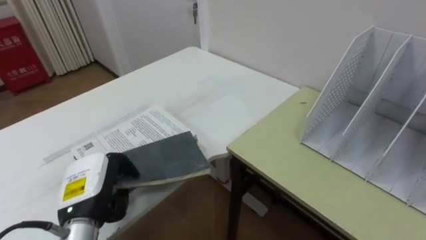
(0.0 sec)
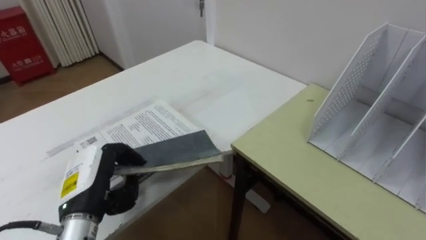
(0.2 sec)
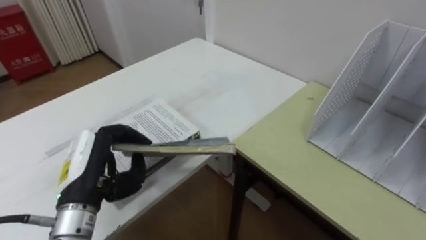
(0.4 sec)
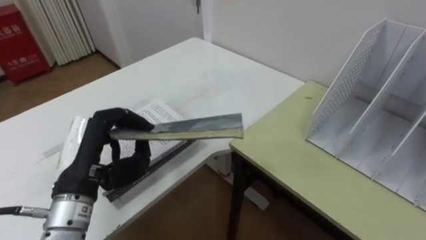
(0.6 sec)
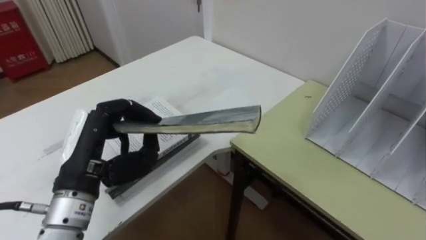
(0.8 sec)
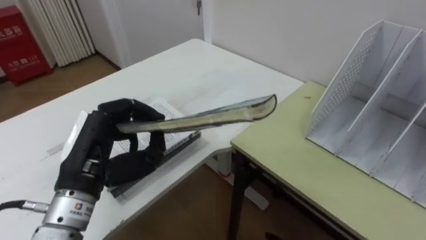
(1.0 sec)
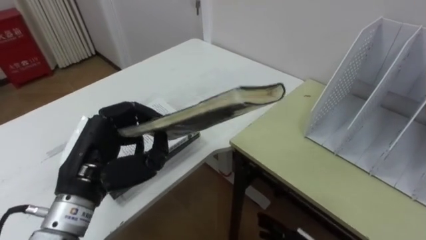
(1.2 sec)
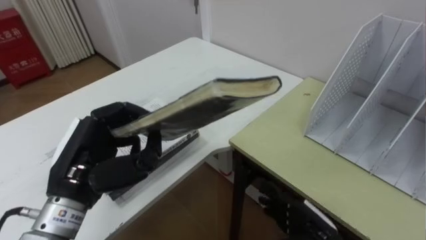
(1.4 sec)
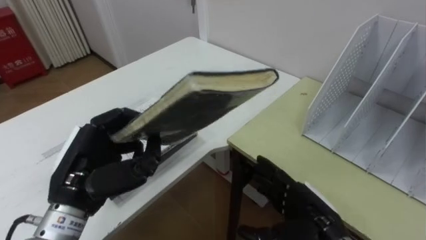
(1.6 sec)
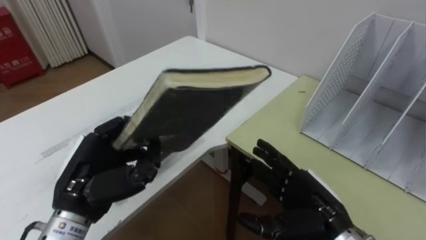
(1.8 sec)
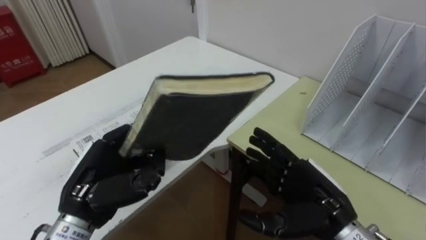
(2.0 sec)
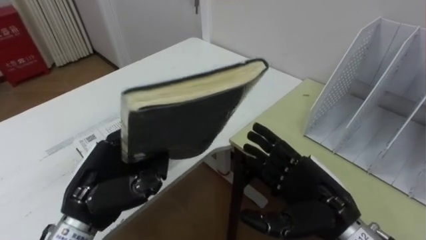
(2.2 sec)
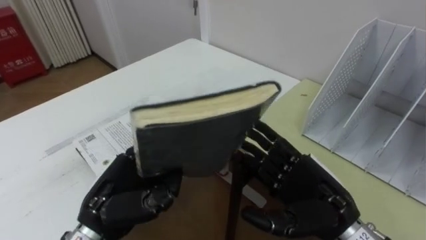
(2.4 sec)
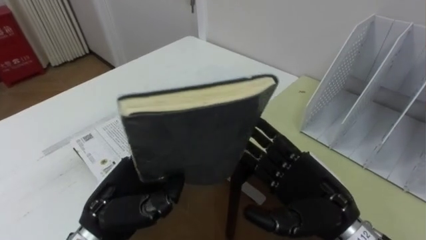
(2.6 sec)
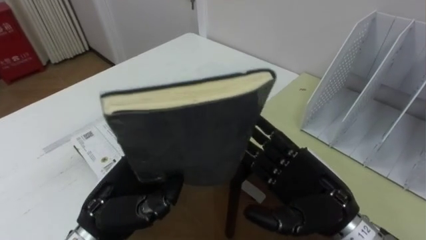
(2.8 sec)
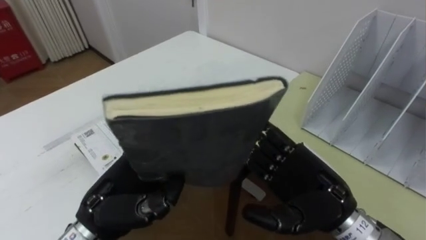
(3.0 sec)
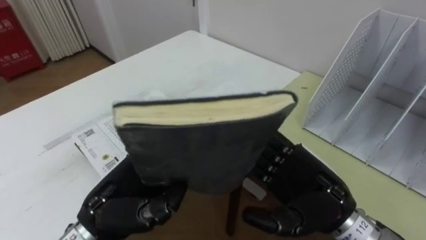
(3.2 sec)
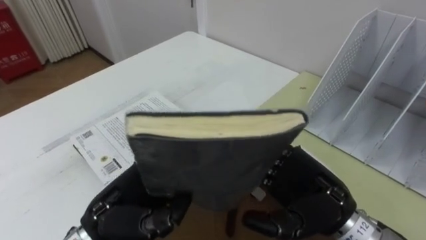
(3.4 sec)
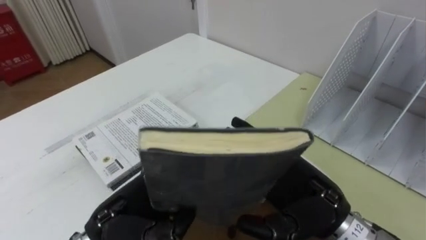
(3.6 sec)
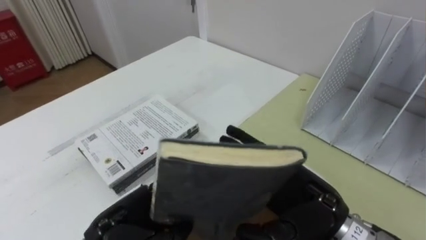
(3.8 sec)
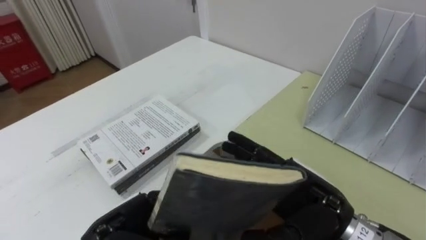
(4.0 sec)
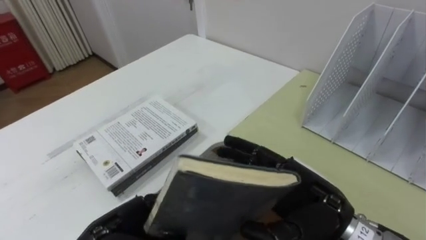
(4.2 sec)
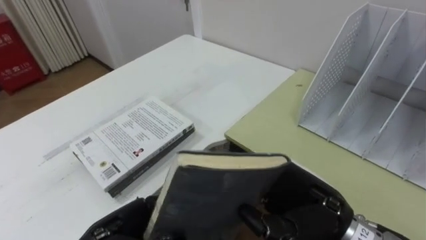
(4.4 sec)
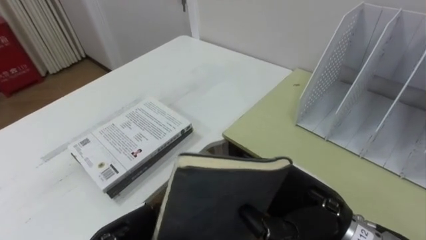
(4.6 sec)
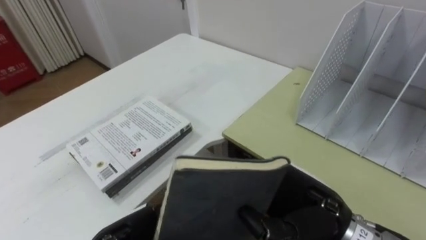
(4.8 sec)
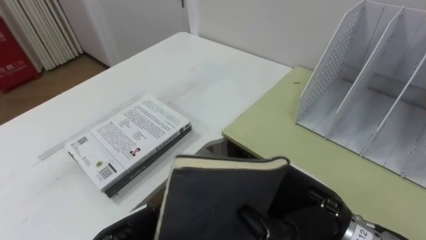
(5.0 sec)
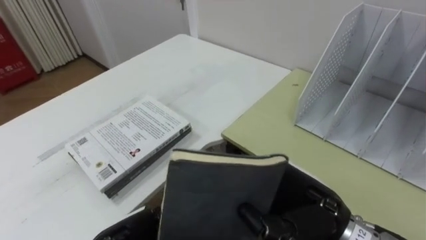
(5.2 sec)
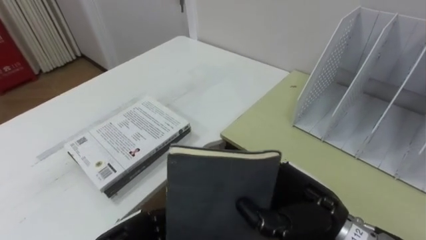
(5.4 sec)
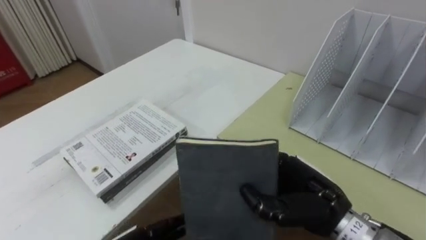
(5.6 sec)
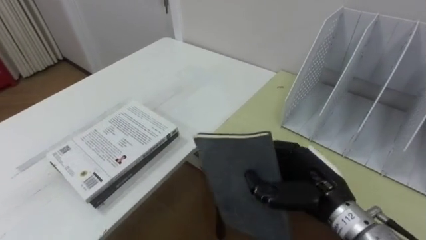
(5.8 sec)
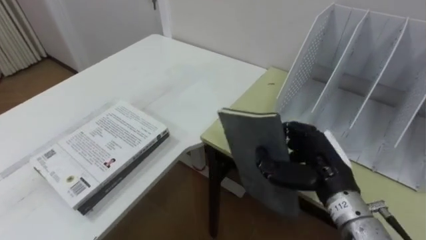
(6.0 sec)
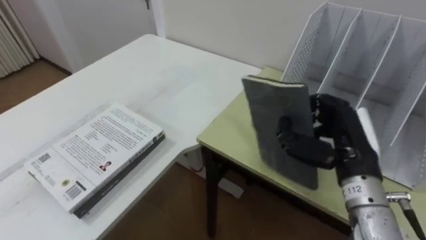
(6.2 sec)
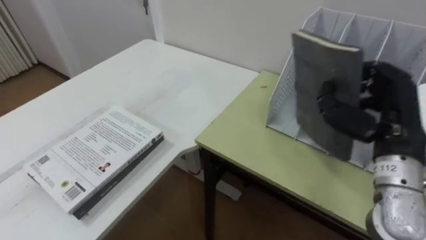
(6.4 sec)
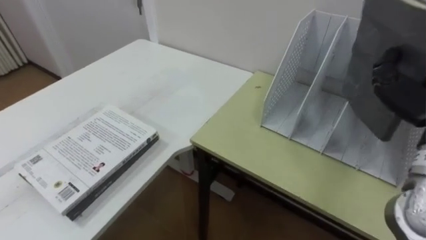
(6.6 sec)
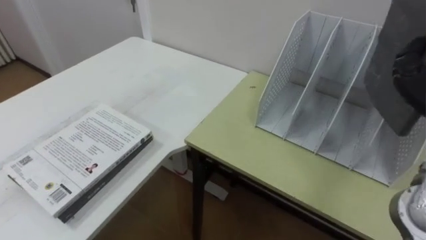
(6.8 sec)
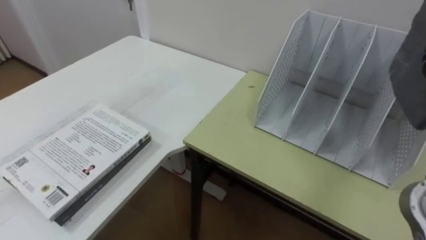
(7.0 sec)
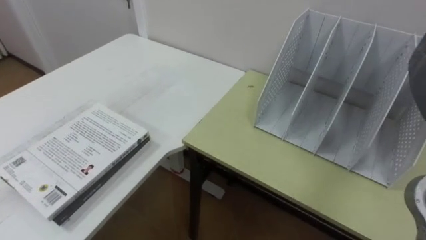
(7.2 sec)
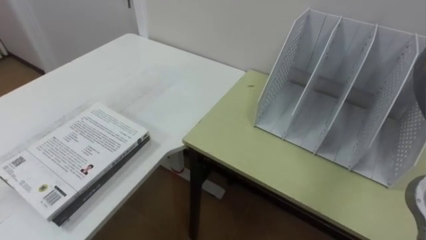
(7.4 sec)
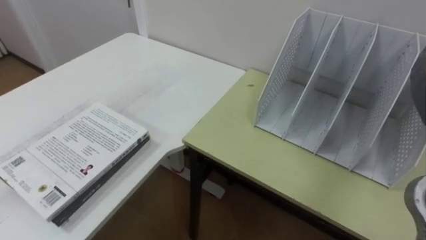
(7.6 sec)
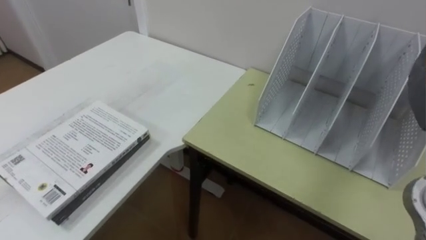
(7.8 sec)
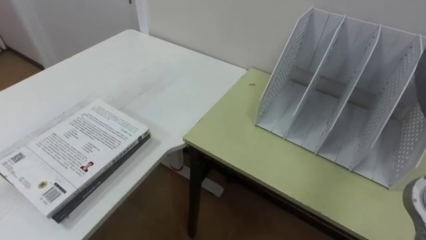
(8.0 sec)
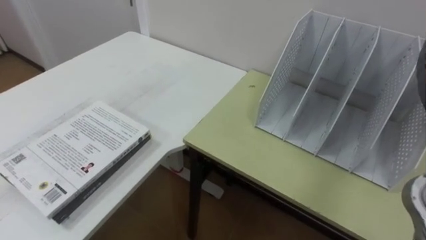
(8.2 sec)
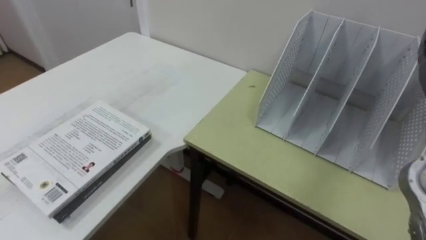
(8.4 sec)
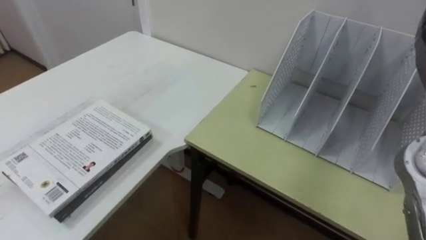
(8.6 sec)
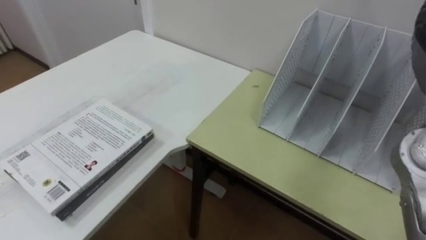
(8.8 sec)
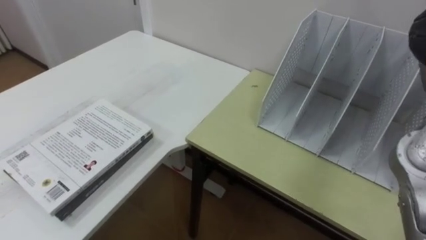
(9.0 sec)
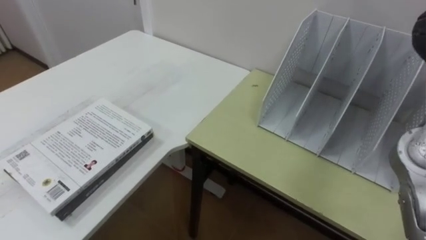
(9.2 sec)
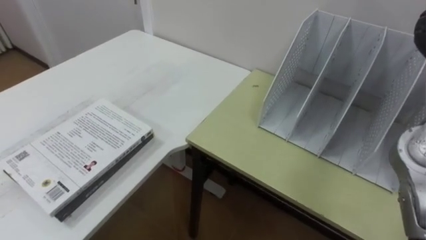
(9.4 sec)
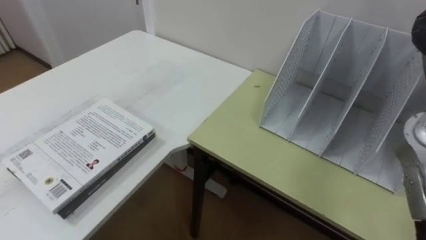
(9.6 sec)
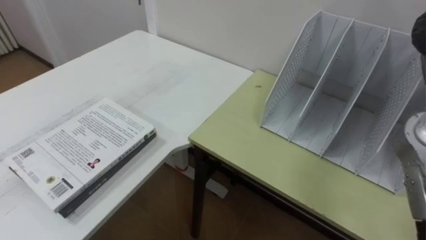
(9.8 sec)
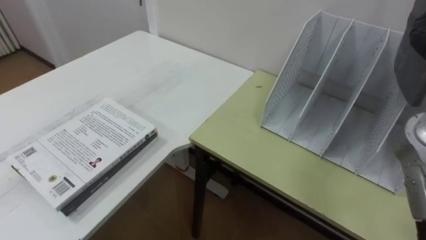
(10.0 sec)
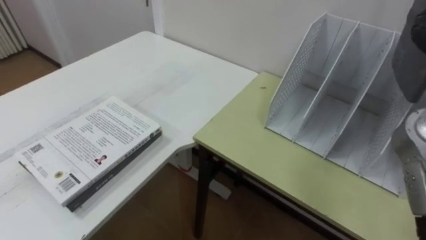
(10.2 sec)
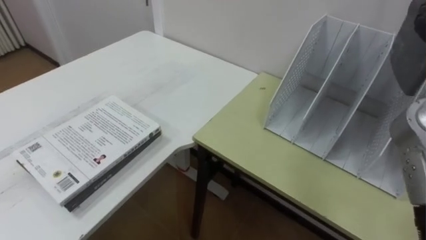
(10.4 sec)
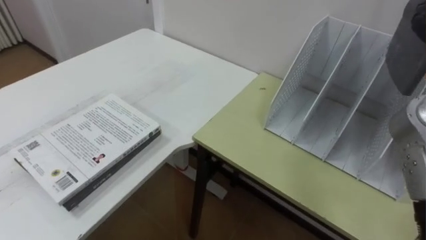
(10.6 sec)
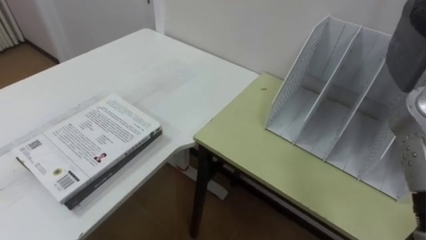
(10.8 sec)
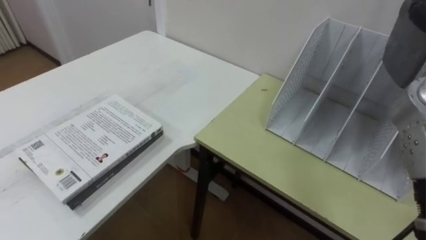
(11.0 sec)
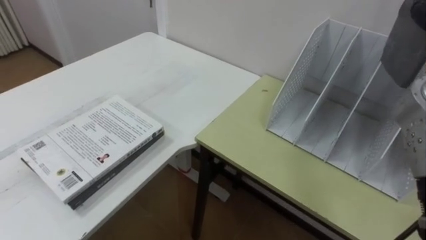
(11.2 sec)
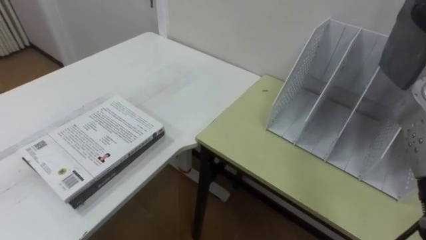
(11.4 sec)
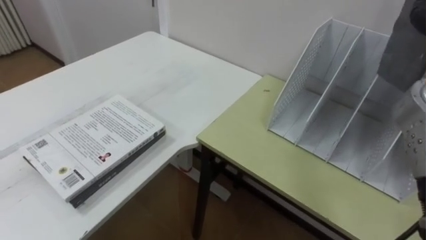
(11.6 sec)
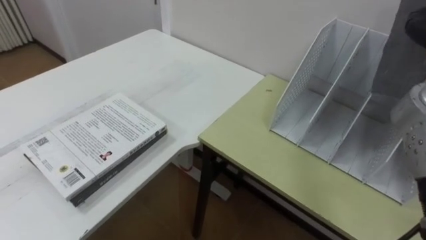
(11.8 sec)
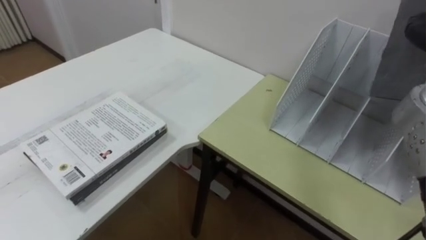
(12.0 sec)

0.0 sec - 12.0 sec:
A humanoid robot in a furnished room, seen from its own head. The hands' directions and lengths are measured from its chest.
Task of the whole recording: Put the books on the table onto the bookshelf.
0.0 sec - 1.6 sec: The left hand shifts approximately 10 cm upward.
1.6 sec - 3.0 sec: The left hand moves roughly 5 cm. Meanwhile the right hand goes some 10 cm upward.
3.0 sec - 4.4 sec: The right hand closes. The left hand travels downward by some 5 cm.
4.4 sec - 6.0 sec: The right hand moves forward, approximately 5 cm.

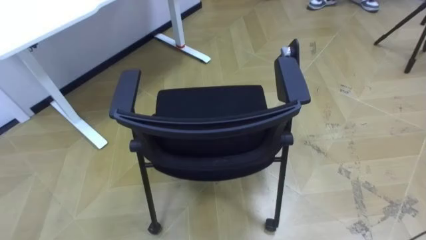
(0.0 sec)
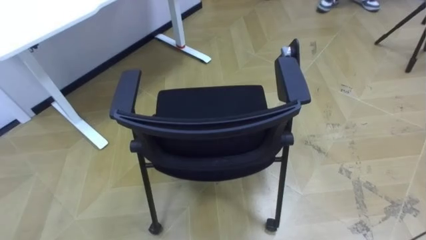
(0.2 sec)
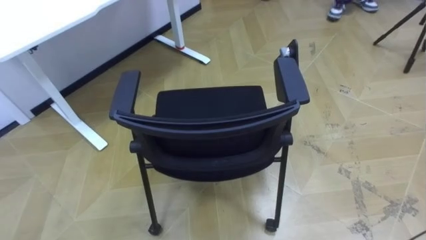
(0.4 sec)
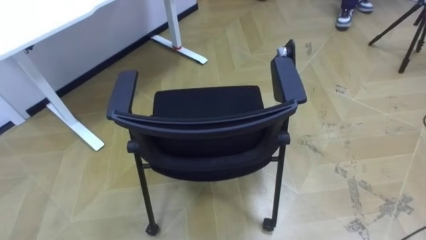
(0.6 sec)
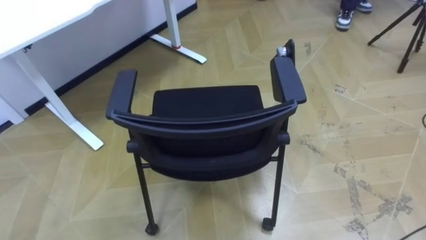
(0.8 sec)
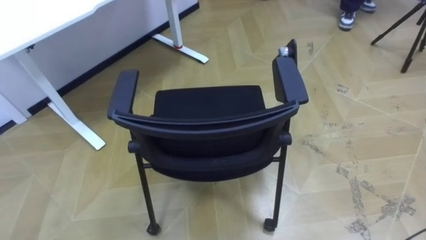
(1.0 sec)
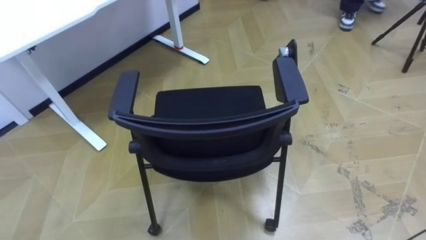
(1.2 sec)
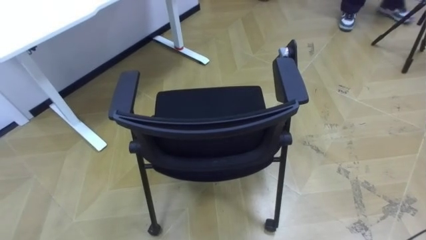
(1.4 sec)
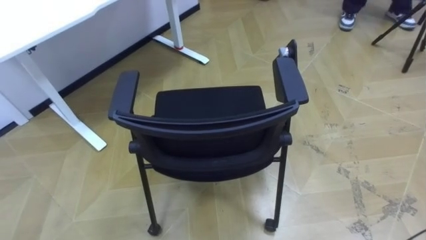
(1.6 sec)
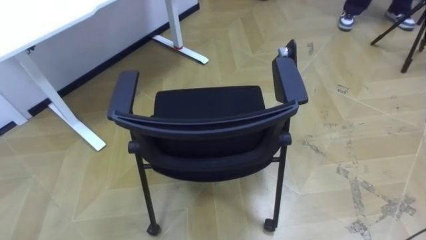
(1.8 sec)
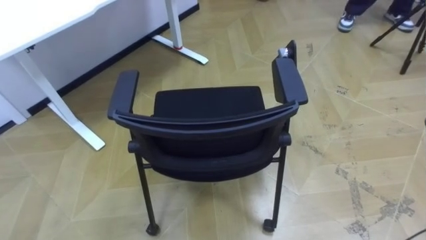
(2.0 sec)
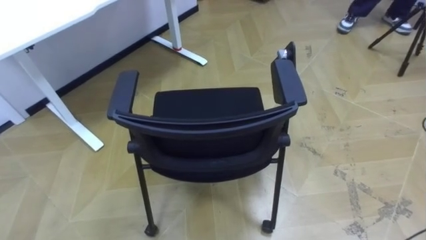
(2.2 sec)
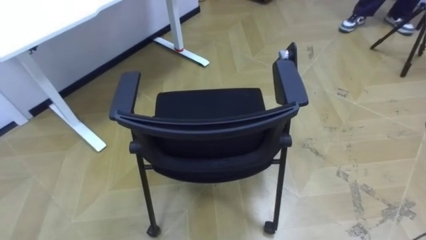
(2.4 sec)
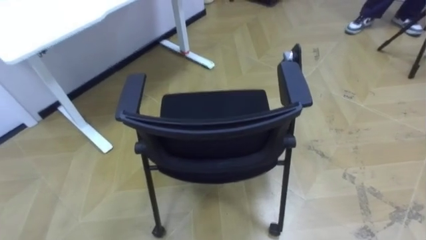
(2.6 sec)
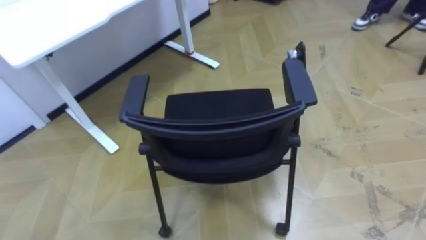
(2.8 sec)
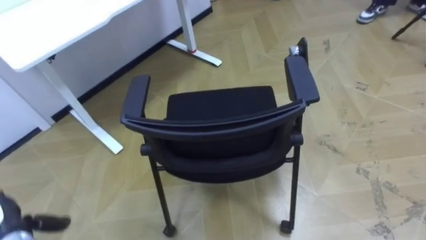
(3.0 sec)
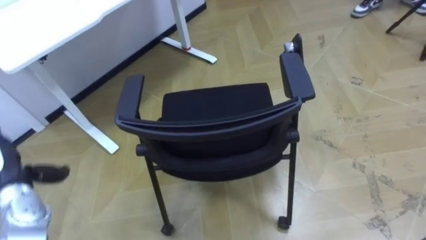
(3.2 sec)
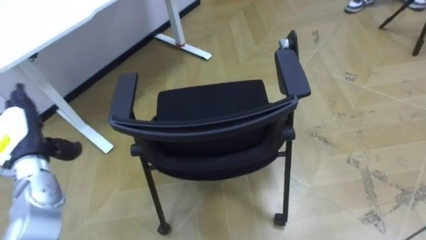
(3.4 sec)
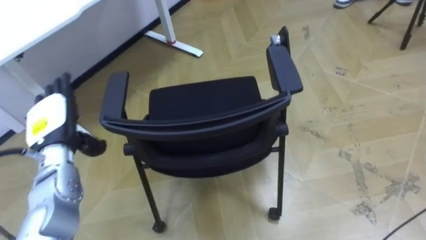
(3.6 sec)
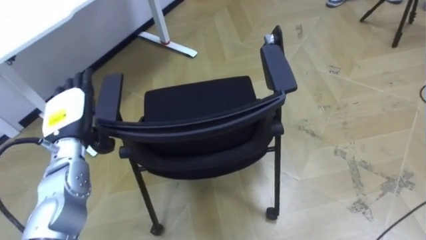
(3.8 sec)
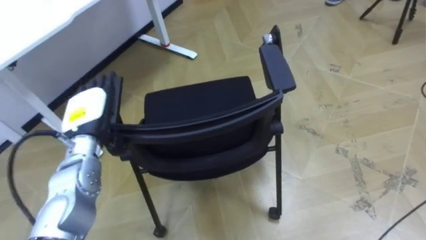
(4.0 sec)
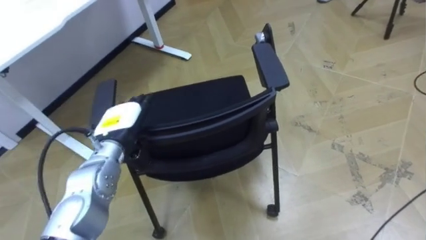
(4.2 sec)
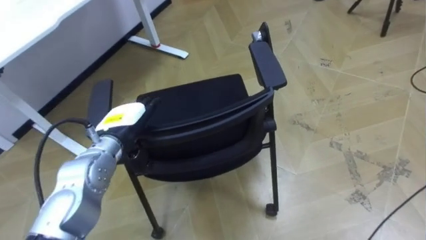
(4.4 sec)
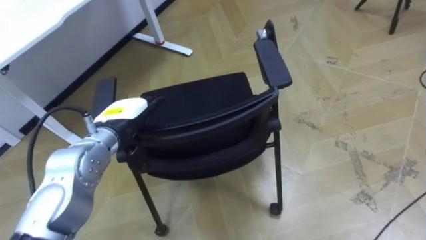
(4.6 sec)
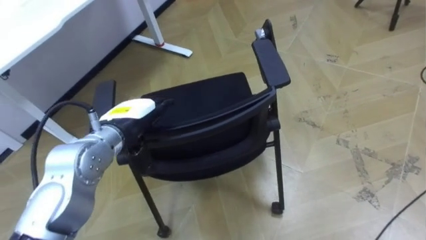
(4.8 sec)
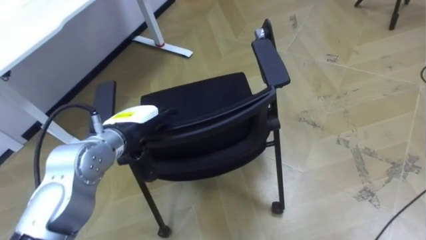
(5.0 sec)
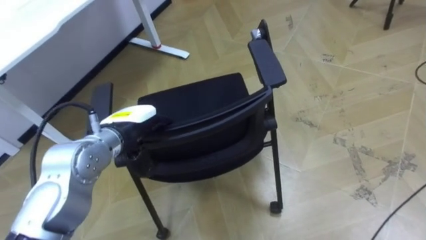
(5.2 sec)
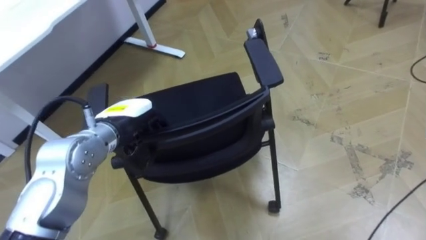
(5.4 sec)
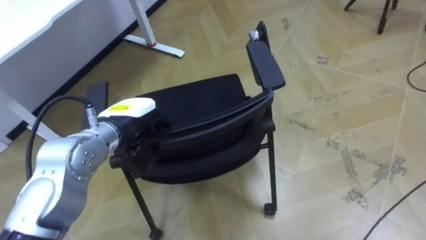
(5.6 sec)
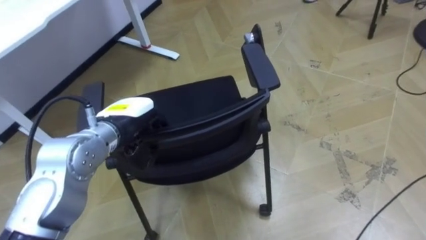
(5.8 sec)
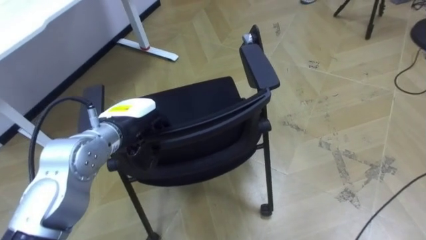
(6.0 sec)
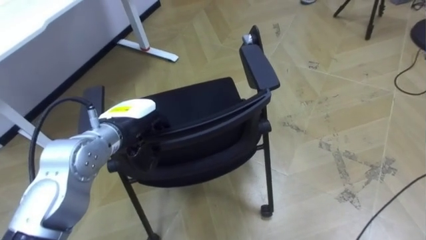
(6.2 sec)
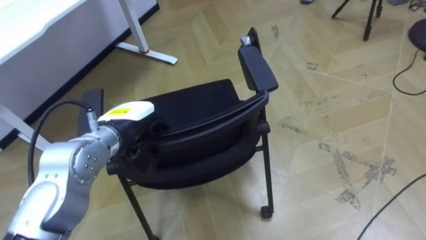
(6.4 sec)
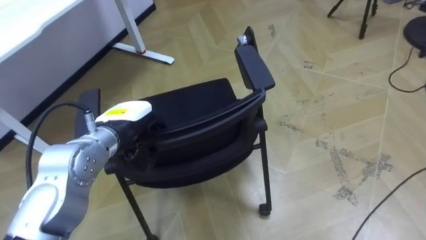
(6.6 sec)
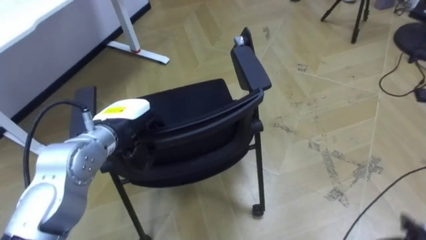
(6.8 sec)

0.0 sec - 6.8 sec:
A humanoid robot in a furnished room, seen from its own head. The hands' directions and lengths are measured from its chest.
Task of the whole recording: Push the chair under the table.
4.0 sec - 5.4 sec: The left hand is displaced to the right by some 5 cm, and closes its fingers.
